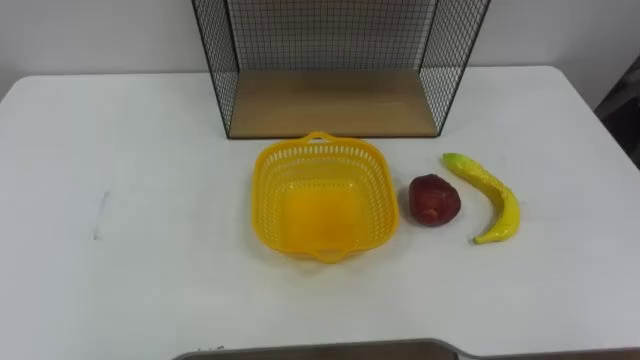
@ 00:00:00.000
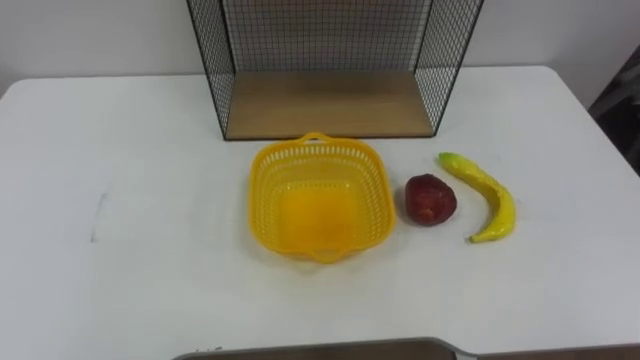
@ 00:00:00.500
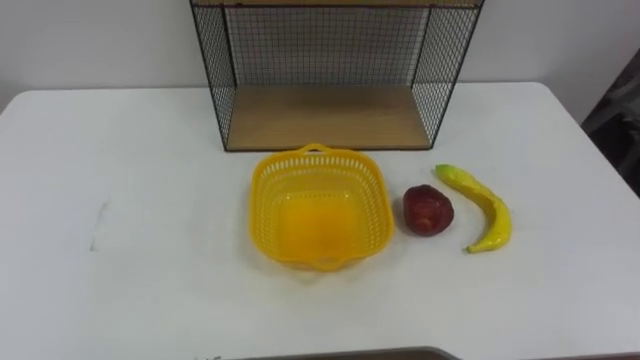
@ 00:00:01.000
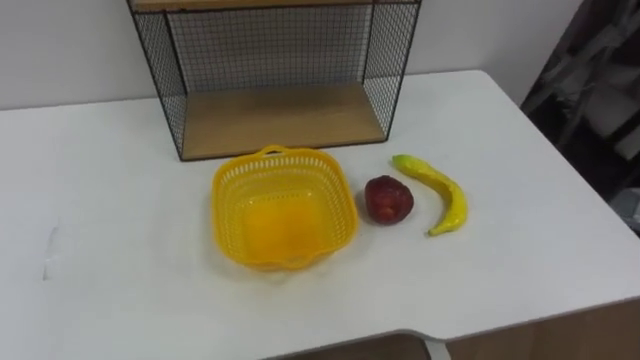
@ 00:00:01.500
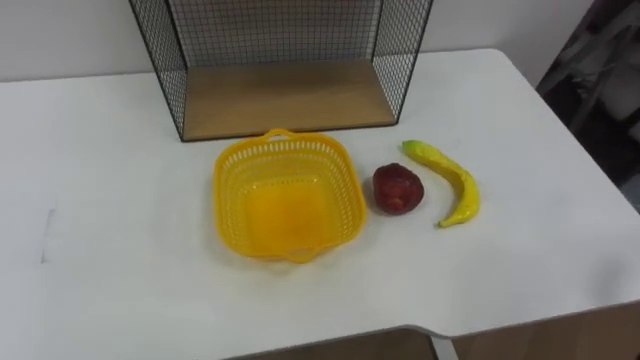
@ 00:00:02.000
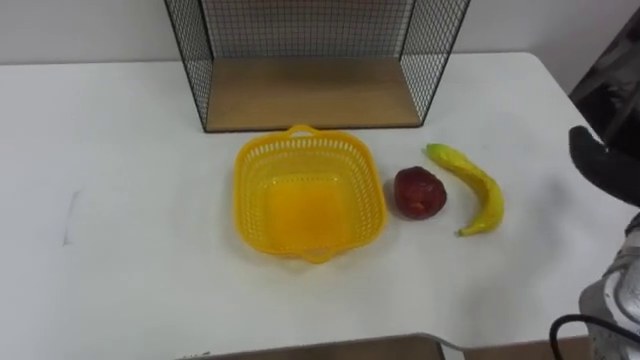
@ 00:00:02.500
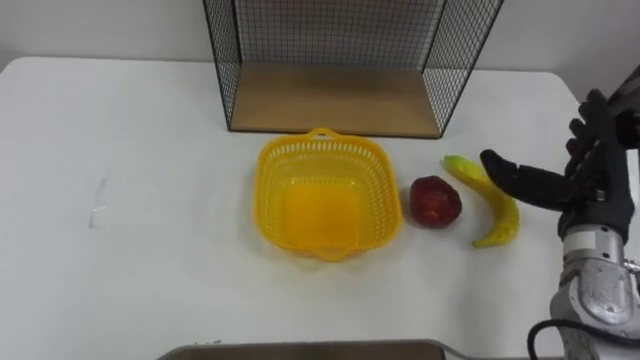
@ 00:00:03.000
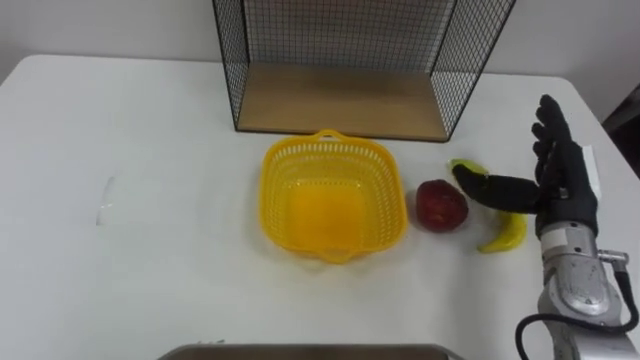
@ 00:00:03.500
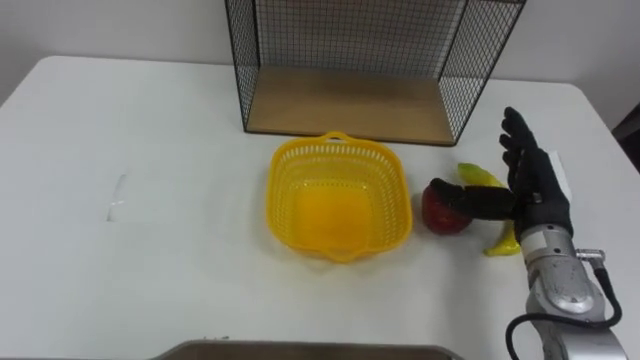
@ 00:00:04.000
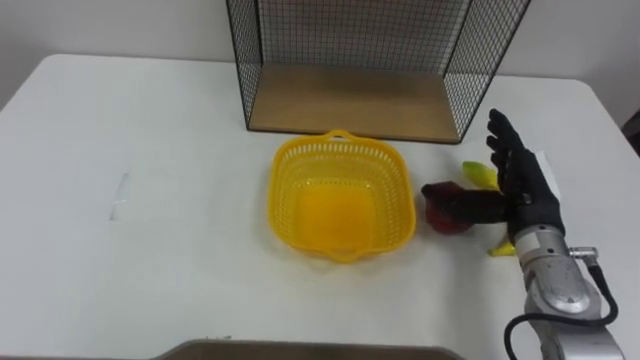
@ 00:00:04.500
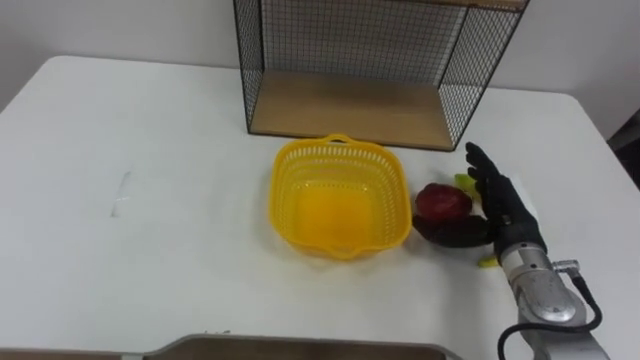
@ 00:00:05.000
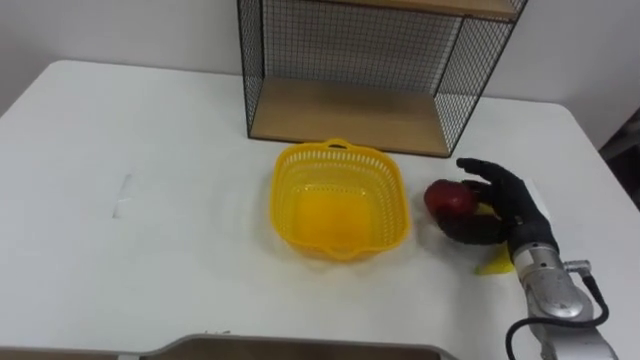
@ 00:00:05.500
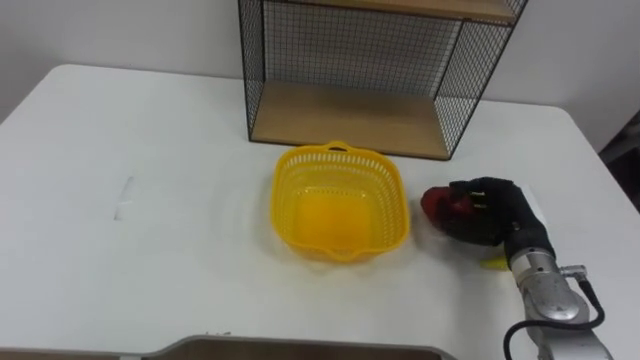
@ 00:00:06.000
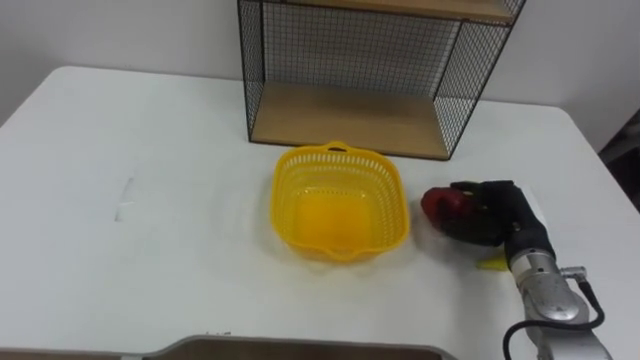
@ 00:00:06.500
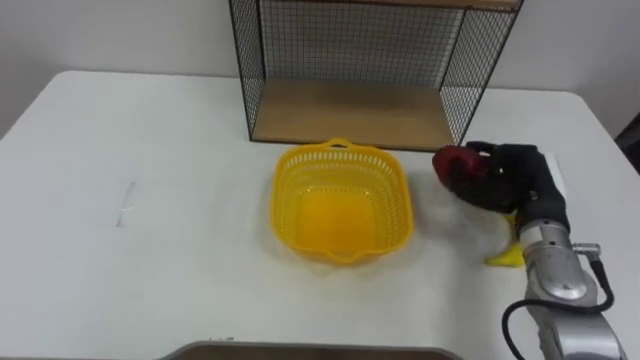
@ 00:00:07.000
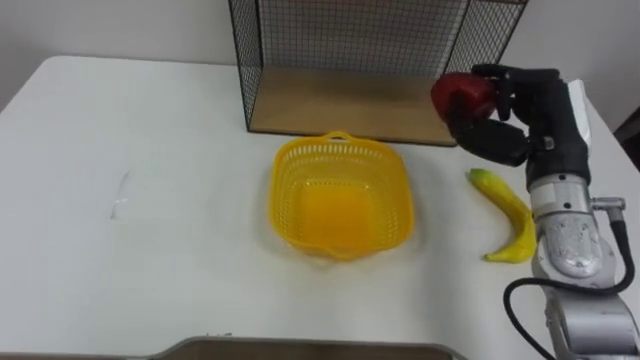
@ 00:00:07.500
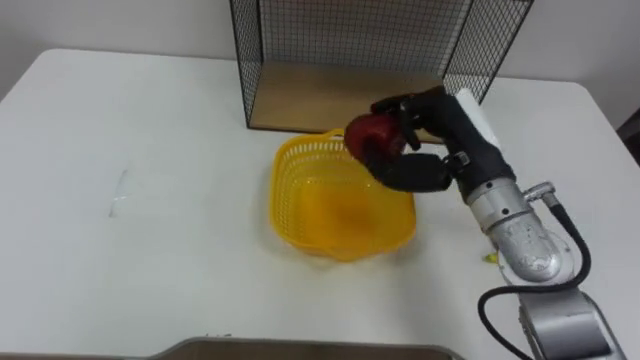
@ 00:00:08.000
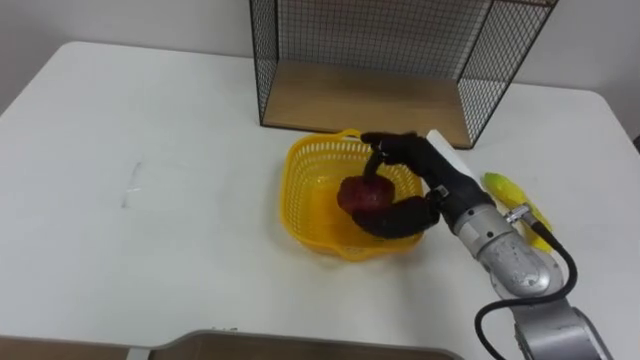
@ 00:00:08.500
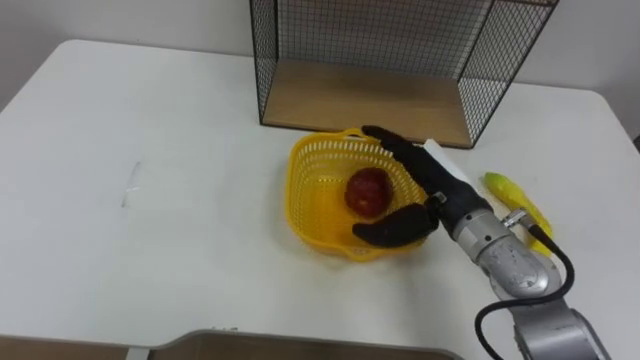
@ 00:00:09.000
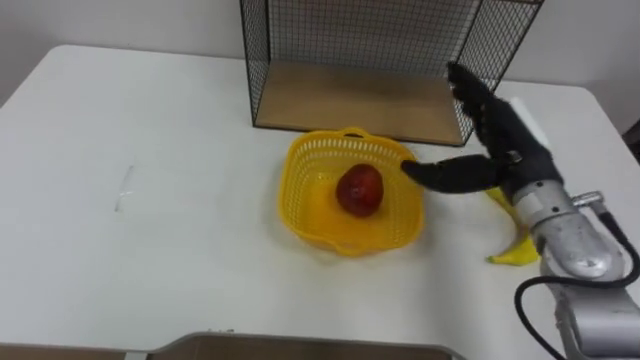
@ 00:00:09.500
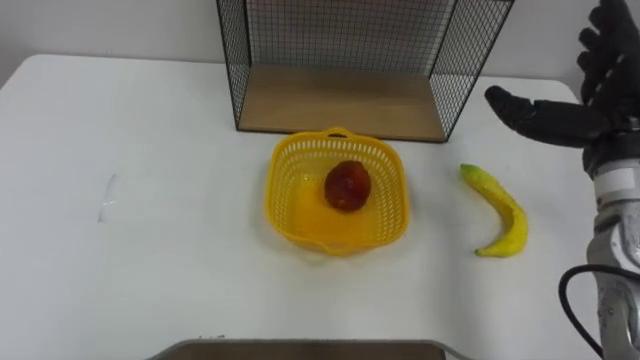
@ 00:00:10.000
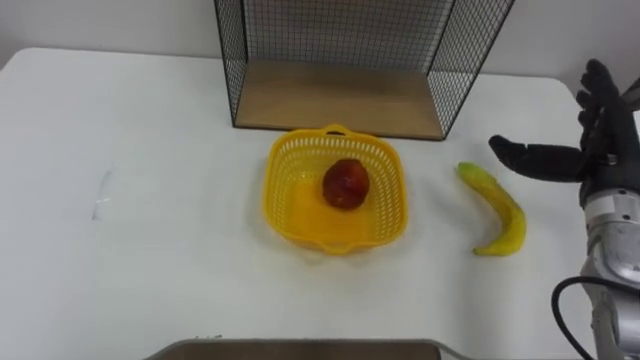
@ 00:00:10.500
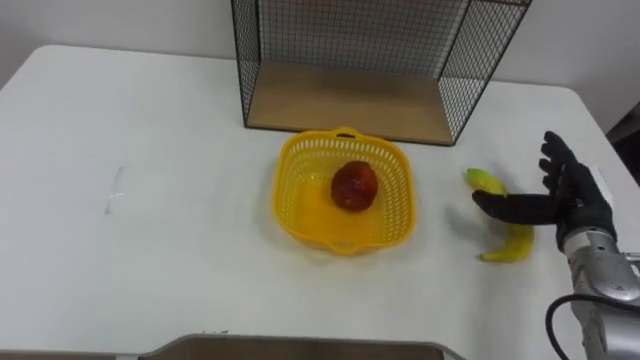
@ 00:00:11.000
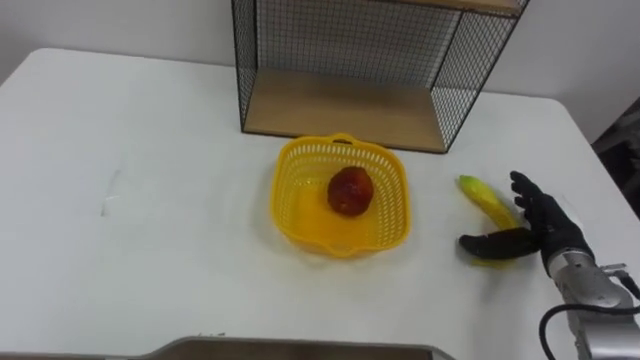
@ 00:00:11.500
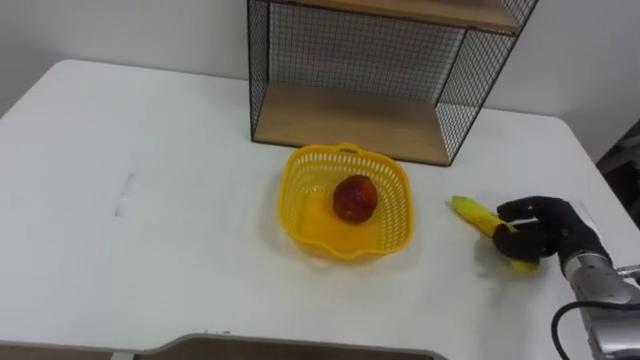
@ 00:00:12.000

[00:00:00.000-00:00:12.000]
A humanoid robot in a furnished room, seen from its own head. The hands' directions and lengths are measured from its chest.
Task of the whole recording: Put the fruit on the table into the basket, then place the basket on the shelf.
00:00:04.000 to 00:00:06.000: The right hand moves downward, roughly 5 cm, and closes.
00:00:06.000 to 00:00:08.000: The right hand heads upward and to the left, covering about 20 cm.
00:00:08.000 to 00:00:10.000: The right hand travels to the right by some 15 cm, and opens up.
00:00:10.000 to 00:00:12.000: The right hand is displaced downward by some 20 cm, and closes.

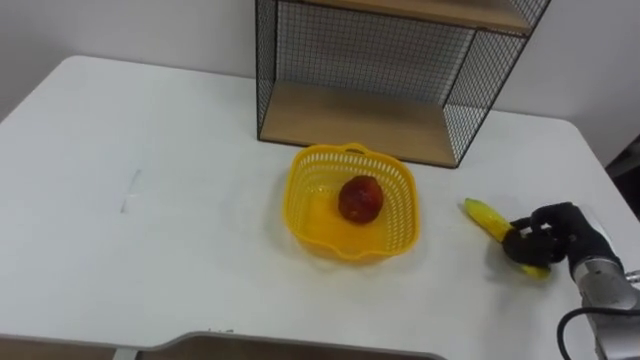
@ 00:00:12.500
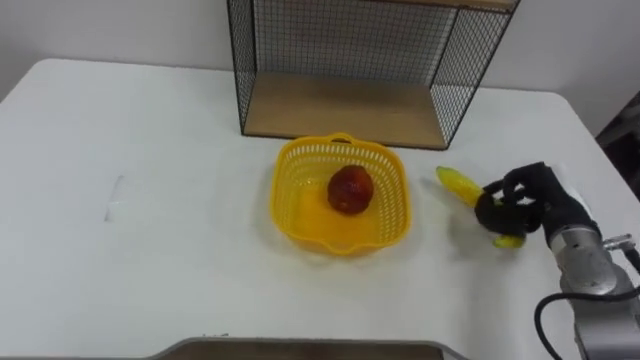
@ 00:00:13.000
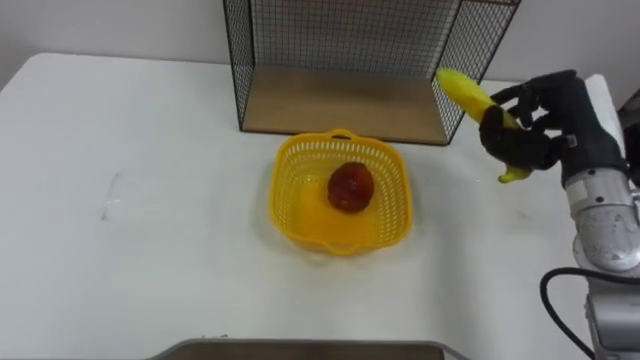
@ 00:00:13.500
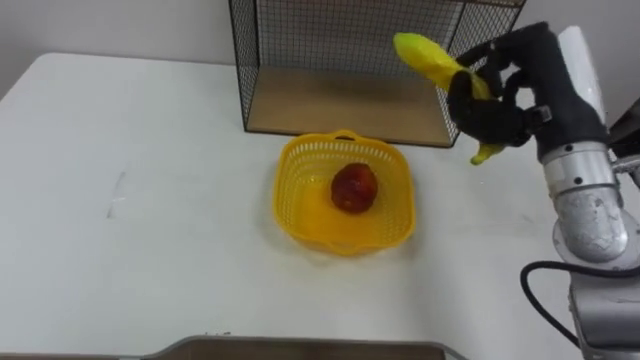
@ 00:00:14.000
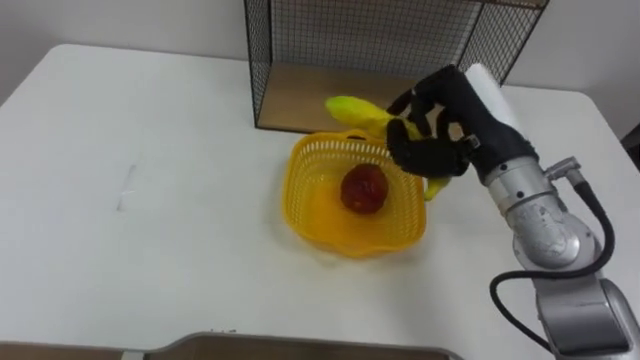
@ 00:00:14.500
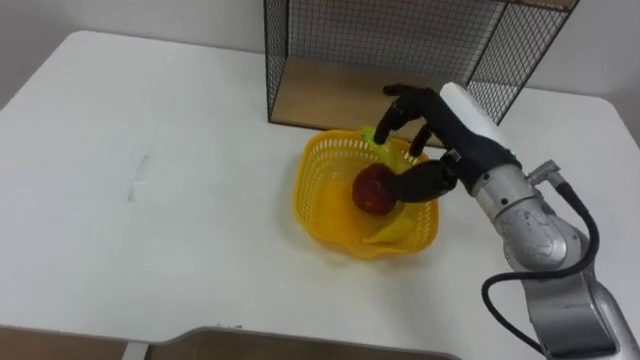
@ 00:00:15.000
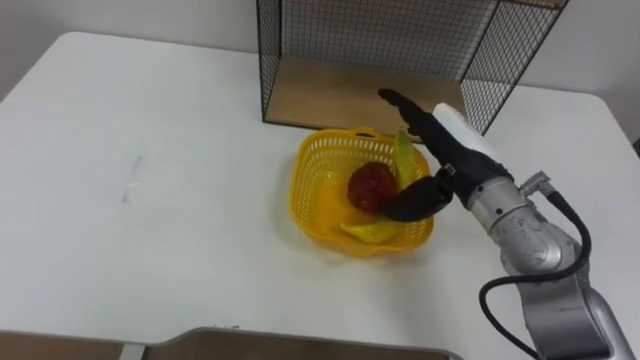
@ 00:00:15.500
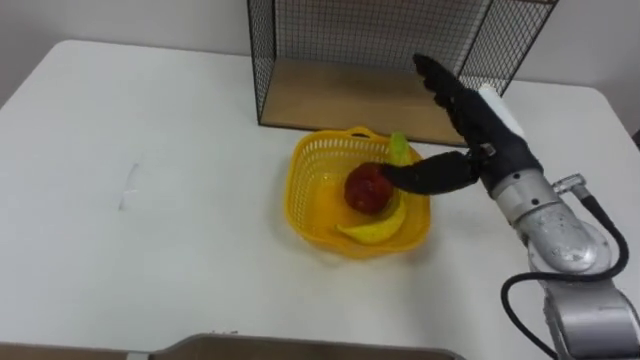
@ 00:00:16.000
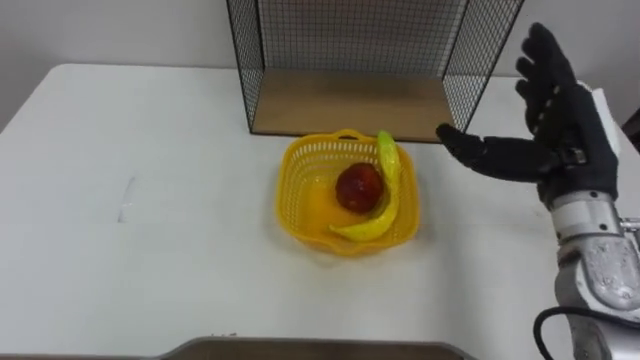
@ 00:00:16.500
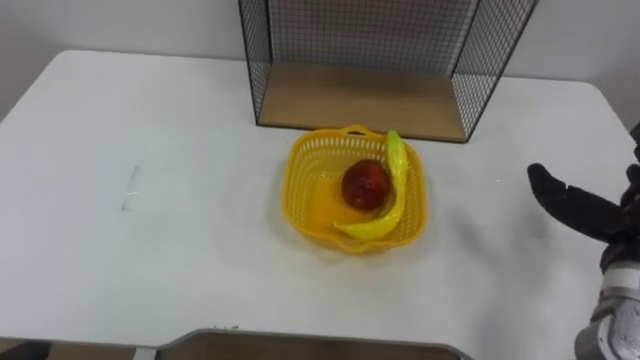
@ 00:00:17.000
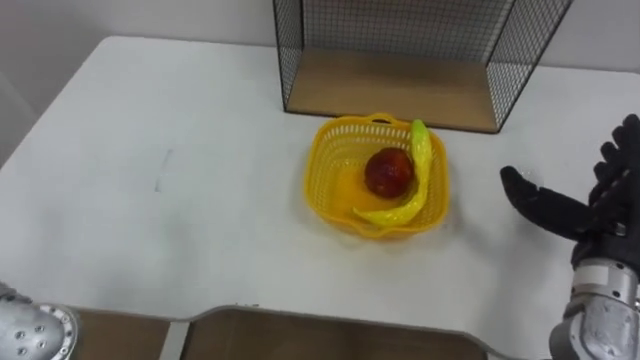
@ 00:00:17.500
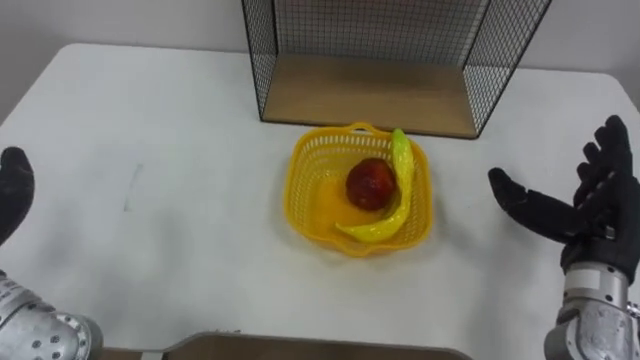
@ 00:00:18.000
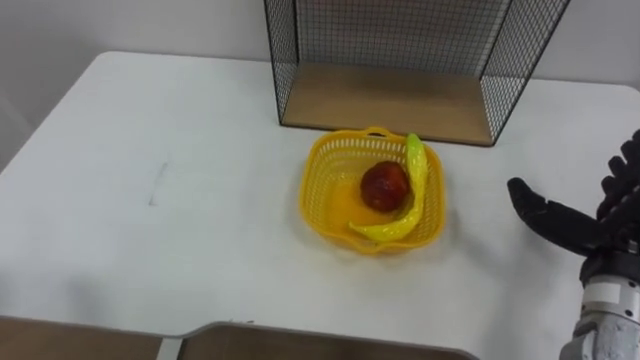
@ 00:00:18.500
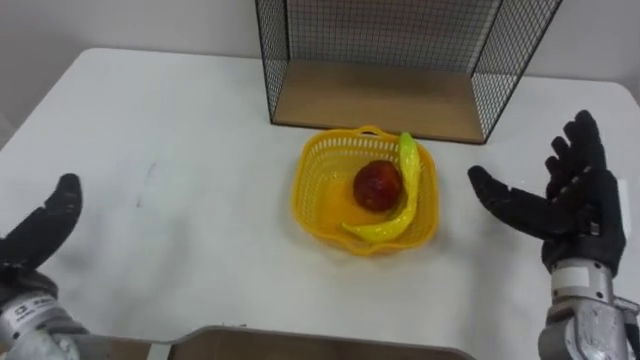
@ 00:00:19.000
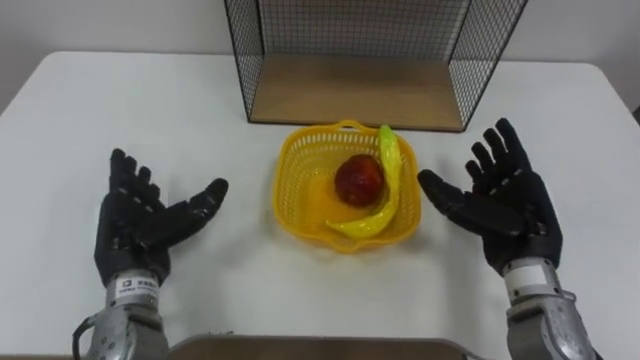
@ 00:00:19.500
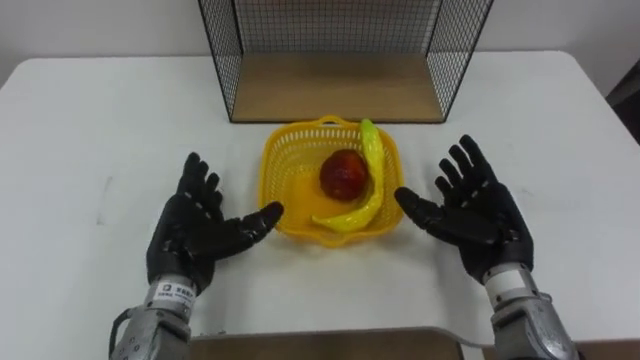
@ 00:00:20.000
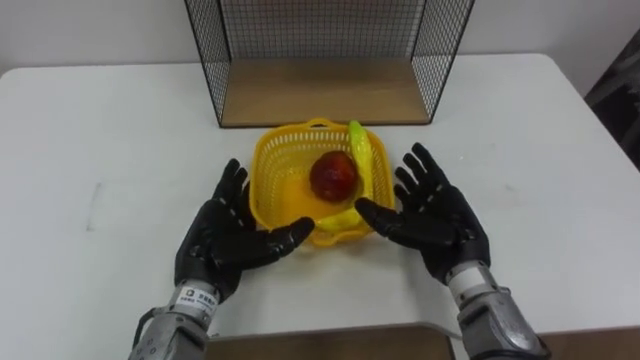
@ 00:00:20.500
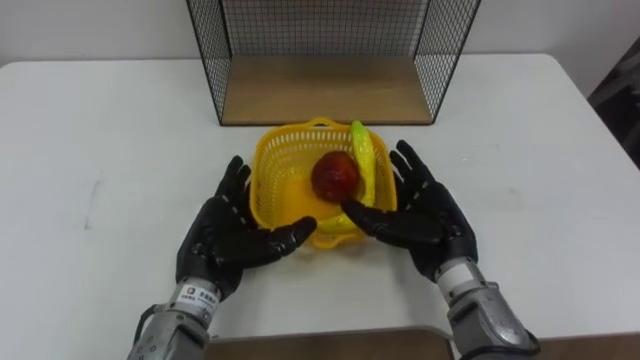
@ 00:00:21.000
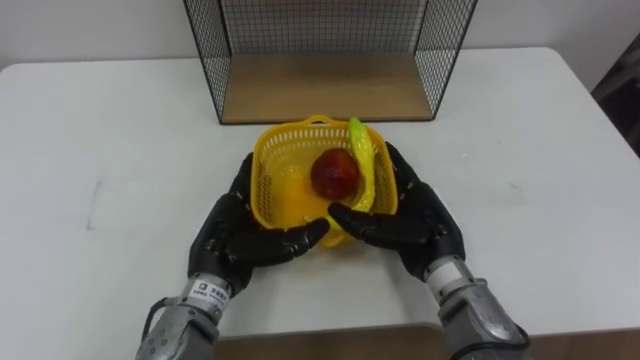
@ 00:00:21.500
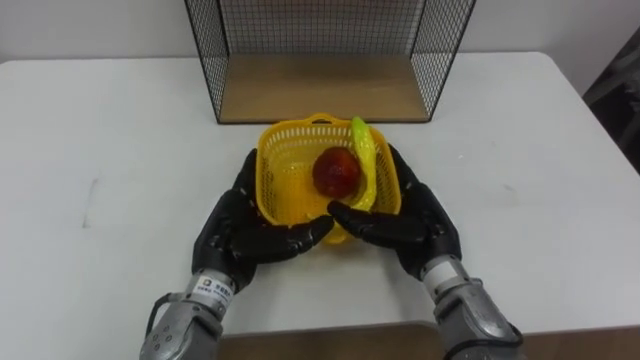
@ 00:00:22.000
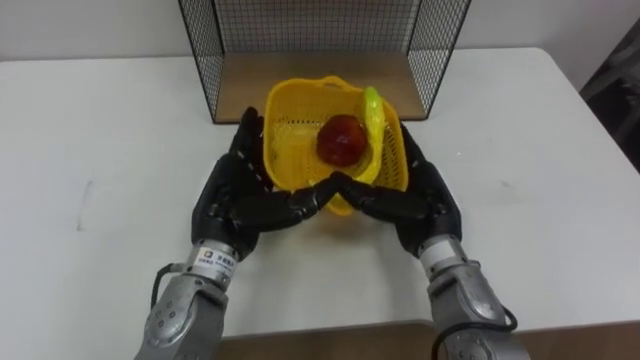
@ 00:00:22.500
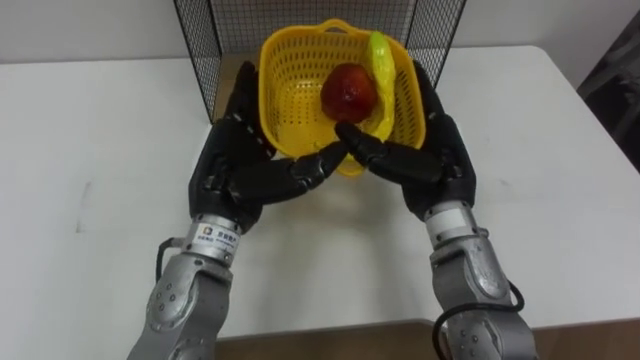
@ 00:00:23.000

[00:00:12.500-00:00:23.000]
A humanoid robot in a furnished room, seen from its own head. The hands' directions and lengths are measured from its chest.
Task of the whole recording: Put the fruit on the table into the basket, then place the basket on the shelf.
00:00:12.500 to 00:00:14.500: The right hand goes roughly 25 cm upward and to the left.
00:00:14.500 to 00:00:16.500: The right hand heads to the right, covering about 10 cm, and opens up.
00:00:19.000 to 00:00:21.000: The right hand heads to the left and downward, covering about 15 cm. The left hand heads to the right, covering about 20 cm.
00:00:21.000 to 00:00:23.000: Both hands travel together upward, about 10 cm.
